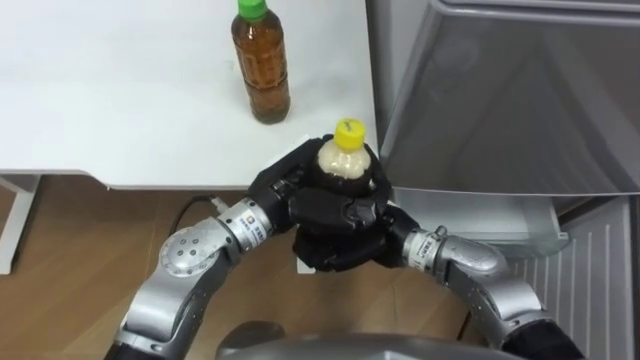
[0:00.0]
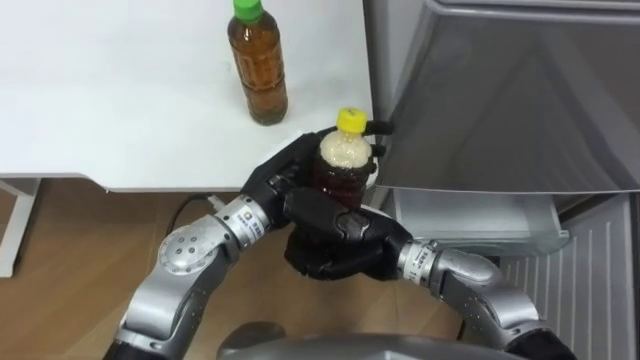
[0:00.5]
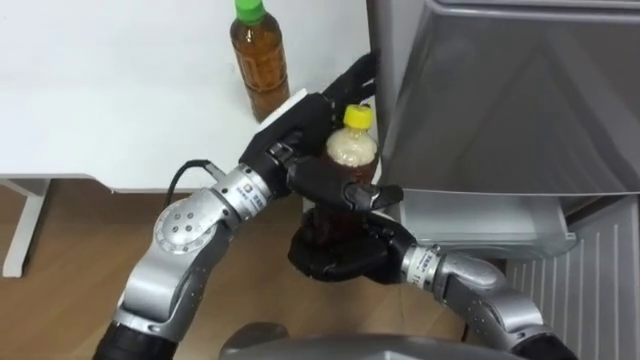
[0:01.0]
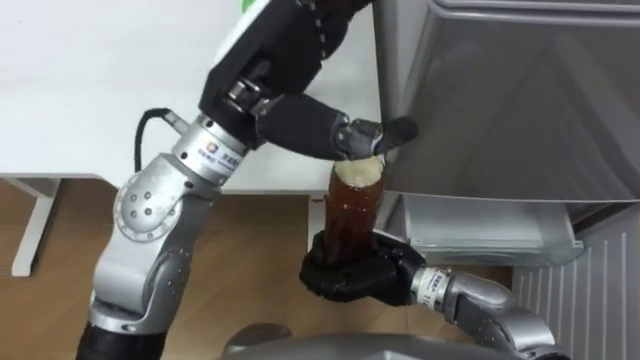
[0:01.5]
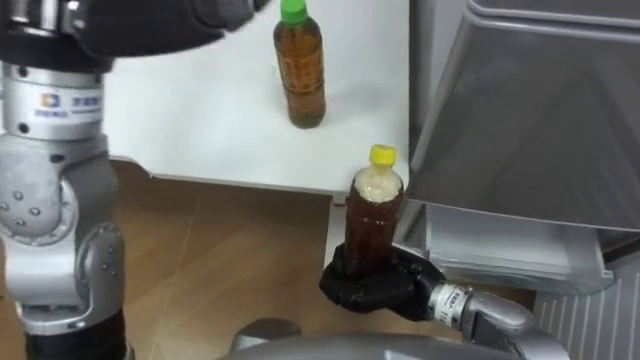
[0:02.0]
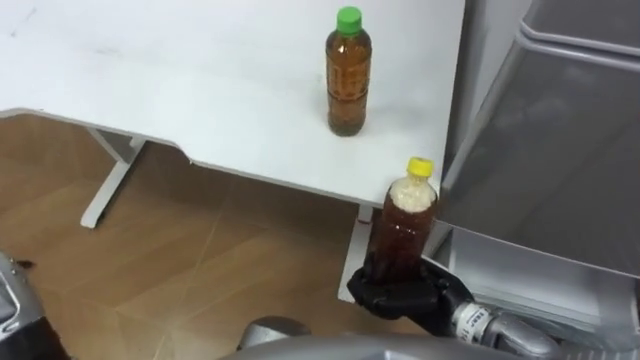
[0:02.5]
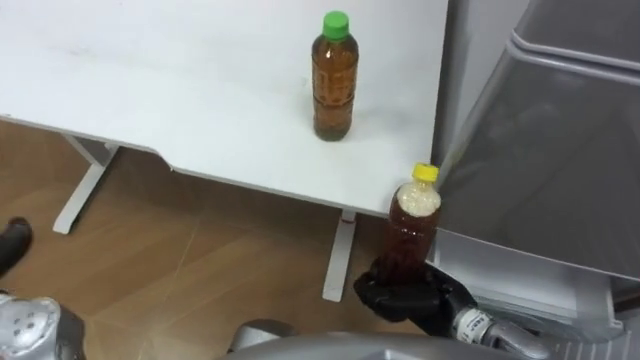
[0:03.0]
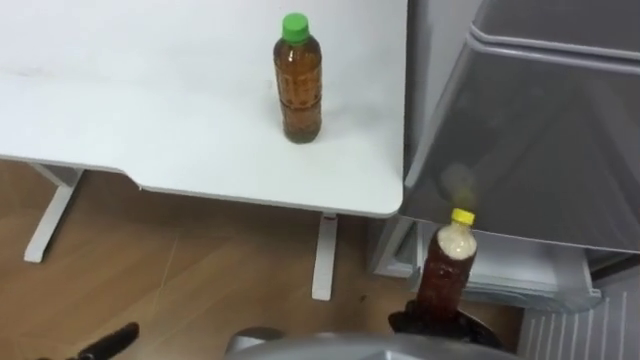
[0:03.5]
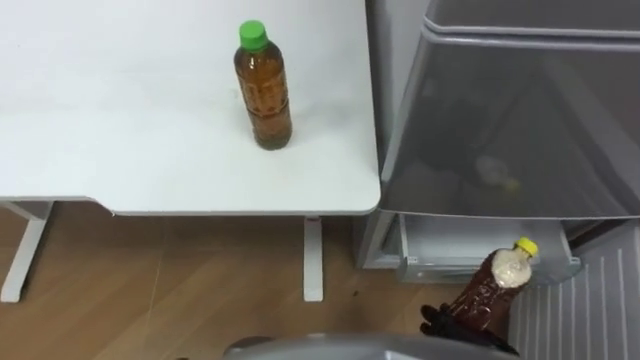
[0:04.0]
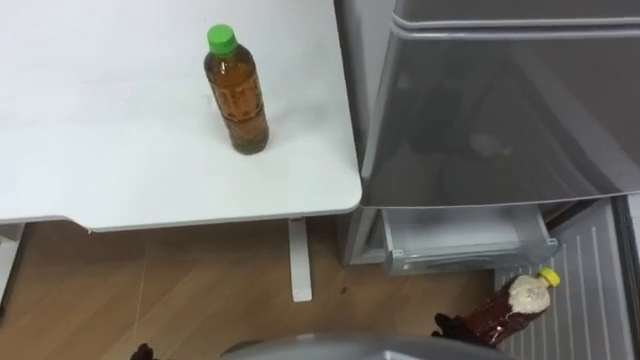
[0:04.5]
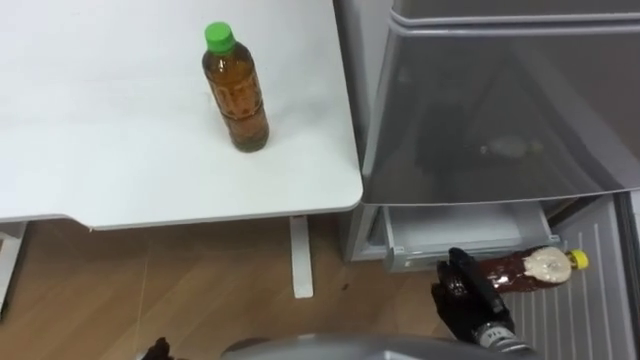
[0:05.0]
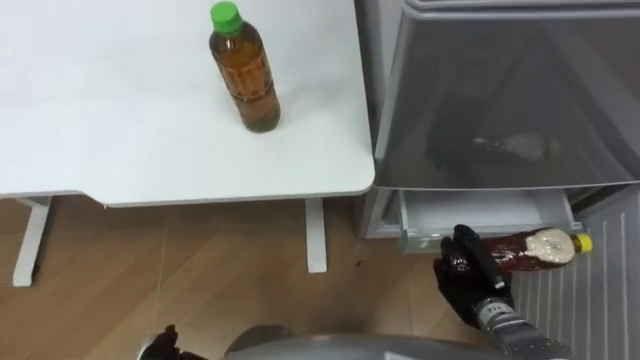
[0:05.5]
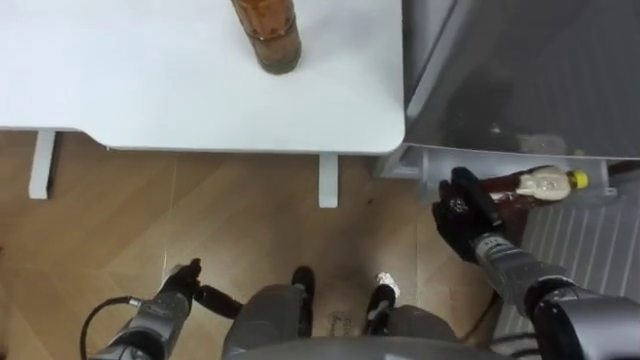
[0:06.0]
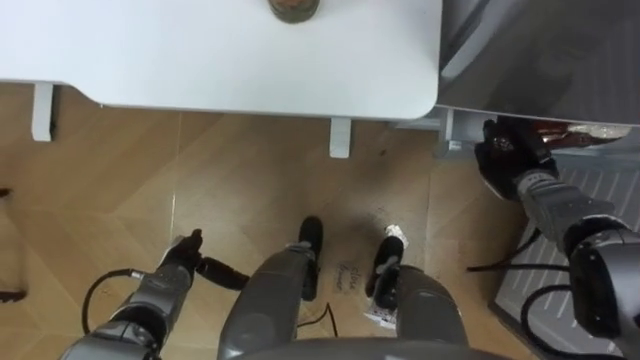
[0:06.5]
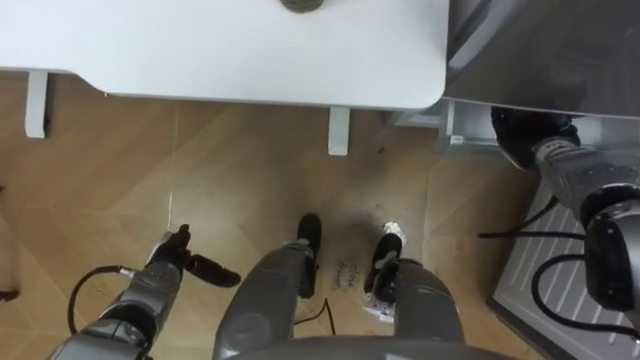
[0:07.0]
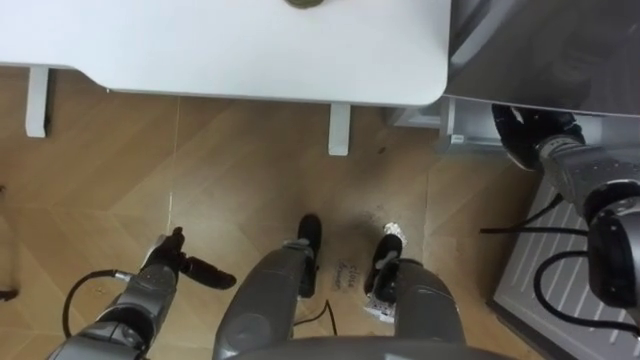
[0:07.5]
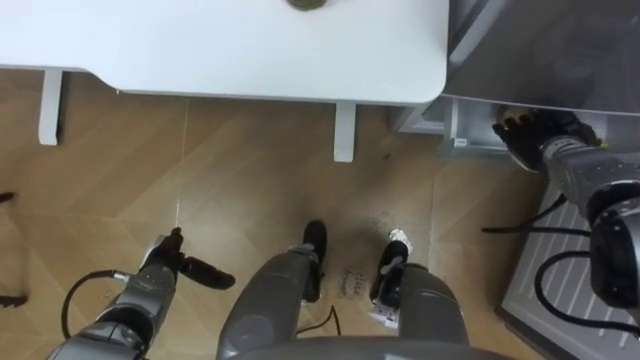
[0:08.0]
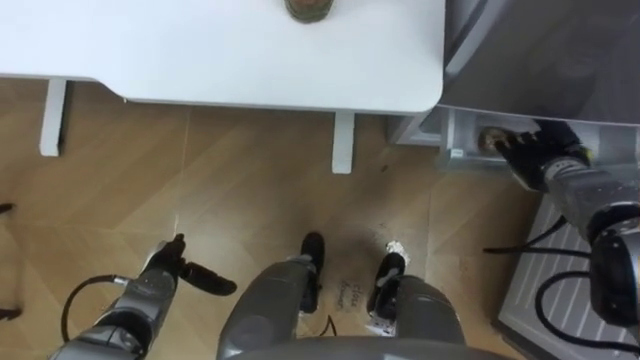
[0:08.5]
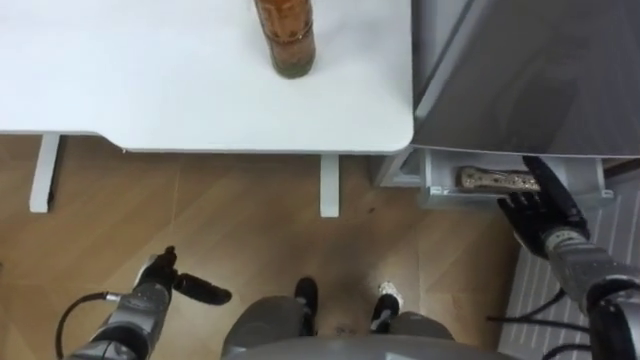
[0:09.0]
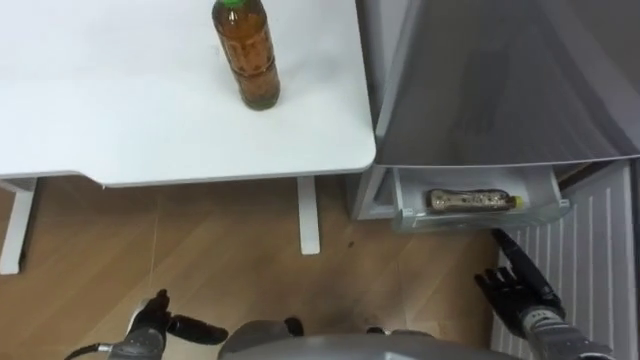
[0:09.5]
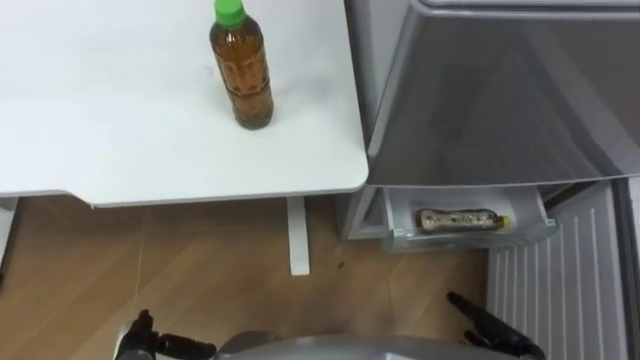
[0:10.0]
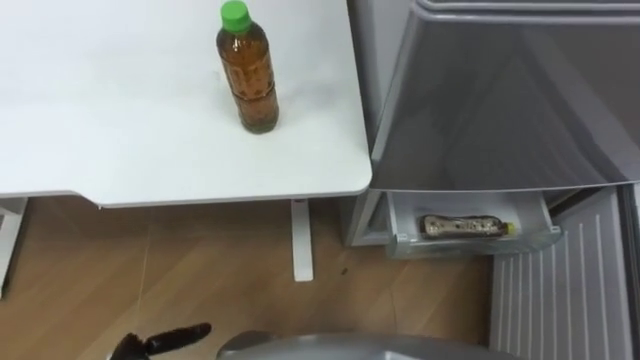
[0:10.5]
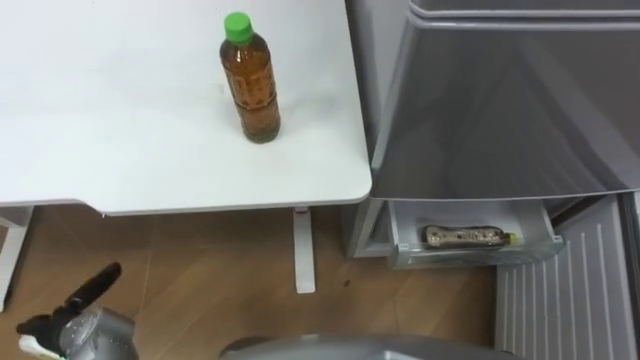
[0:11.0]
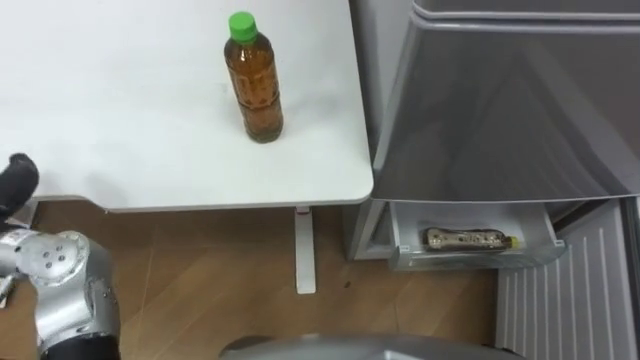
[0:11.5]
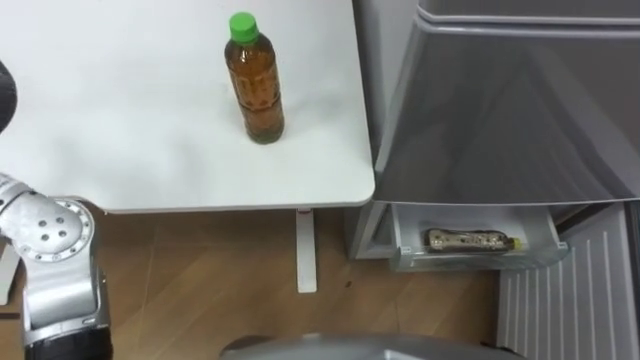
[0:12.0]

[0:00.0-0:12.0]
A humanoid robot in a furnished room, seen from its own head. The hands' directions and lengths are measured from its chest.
Task of the whole recording: Place the drink on the table on the bottom shelf of the refrigerator, then close the drawer and the refrigerator door.
0:00.0 to 0:02.0: The left hand moves upward and to the left, some 30 cm, and opens; the right hand is displaced backward by some 5 cm.
0:02.0 to 0:04.0: The right hand is displaced to the right, backward and downward by some 20 cm.
0:06.0 to 0:08.0: The left hand moves about 5 cm, while the right hand goes some 15 cm forward, upward and to the right, and opens.
0:08.0 to 0:10.0: The left hand moves backward, approximately 10 cm. The right hand travels backward and downward by about 30 cm.

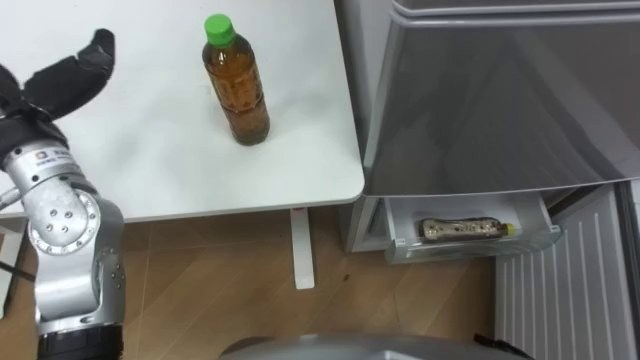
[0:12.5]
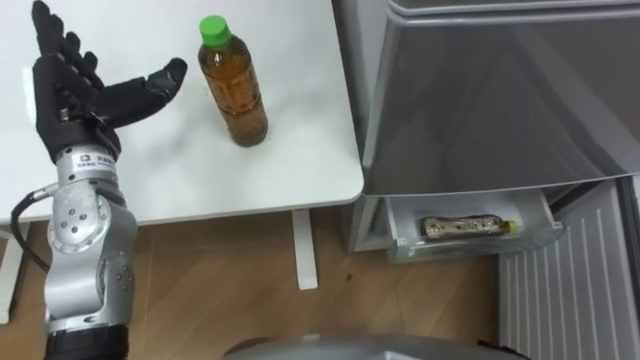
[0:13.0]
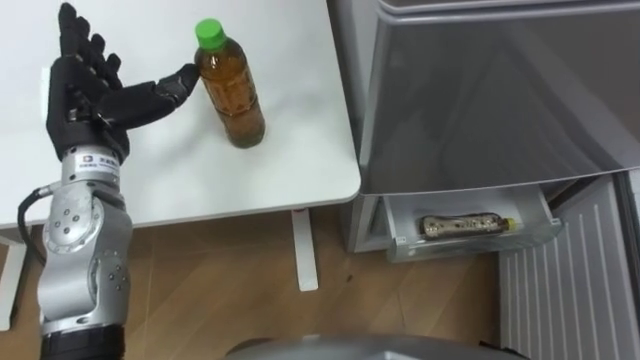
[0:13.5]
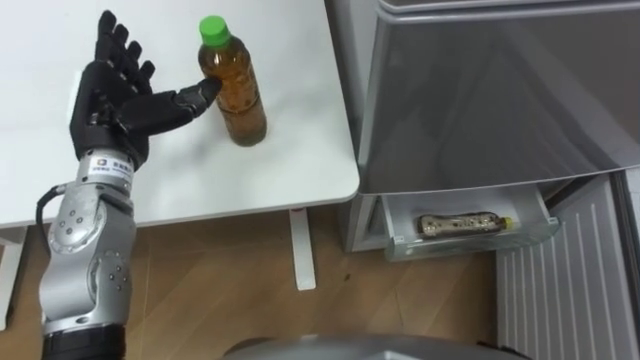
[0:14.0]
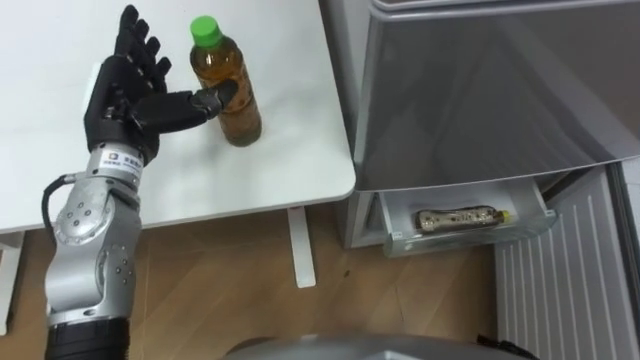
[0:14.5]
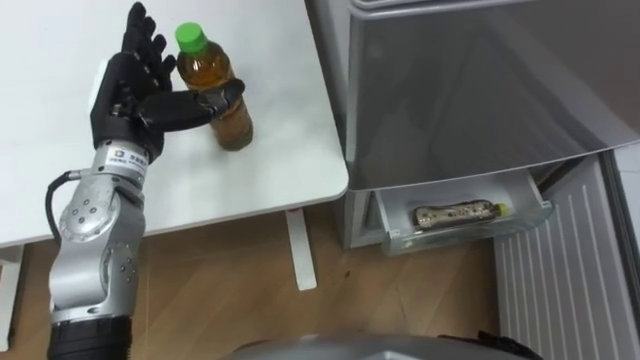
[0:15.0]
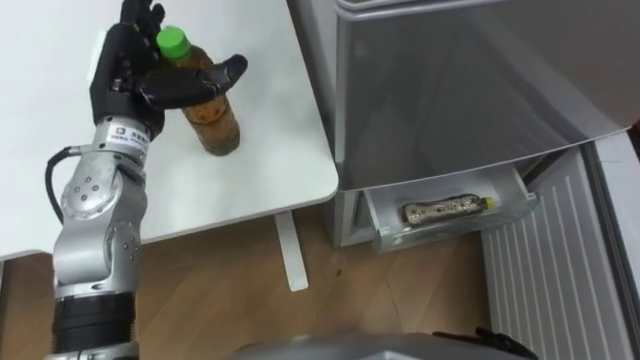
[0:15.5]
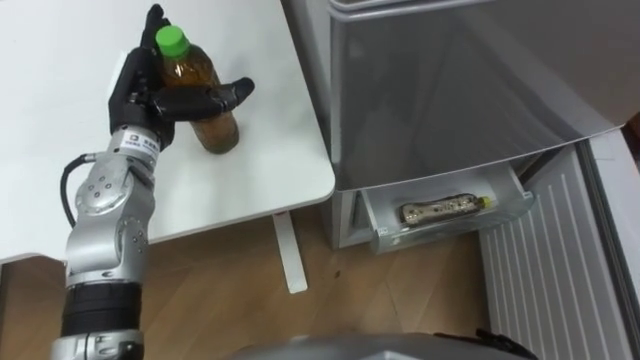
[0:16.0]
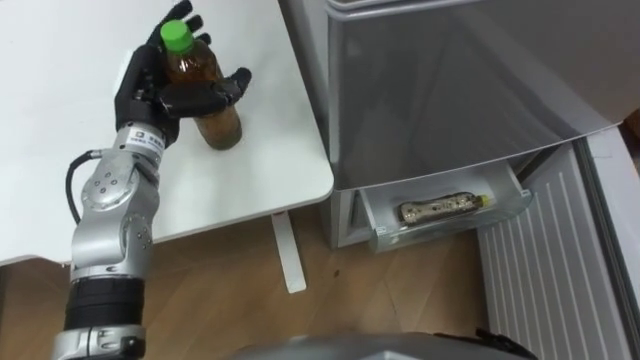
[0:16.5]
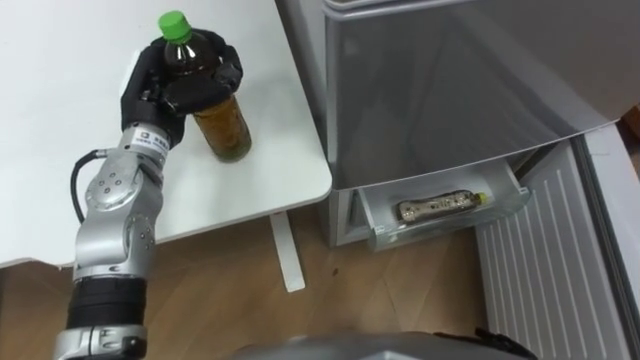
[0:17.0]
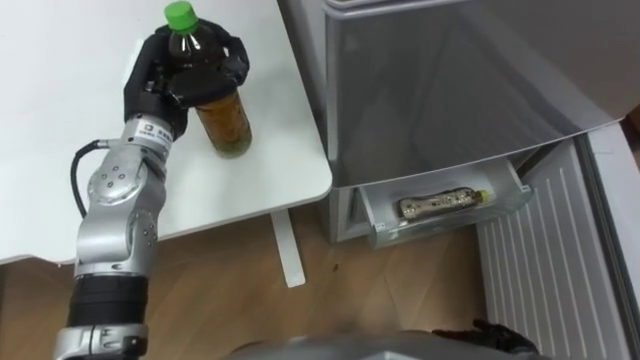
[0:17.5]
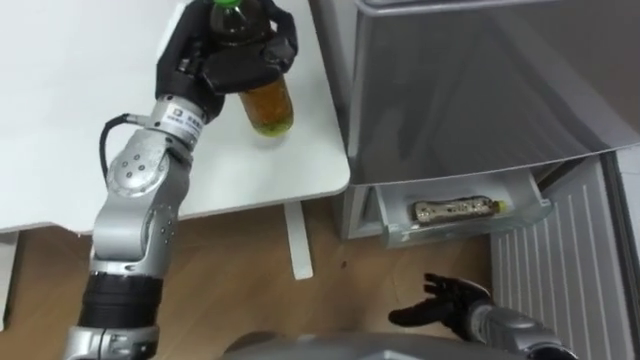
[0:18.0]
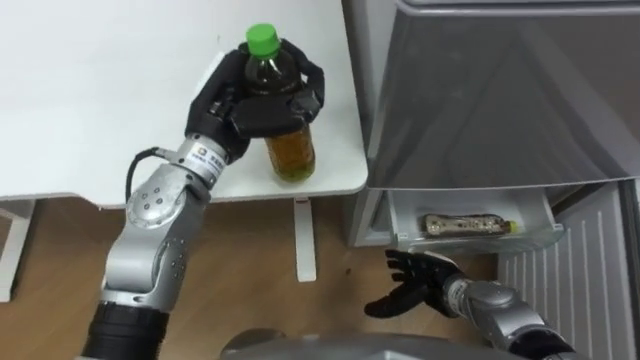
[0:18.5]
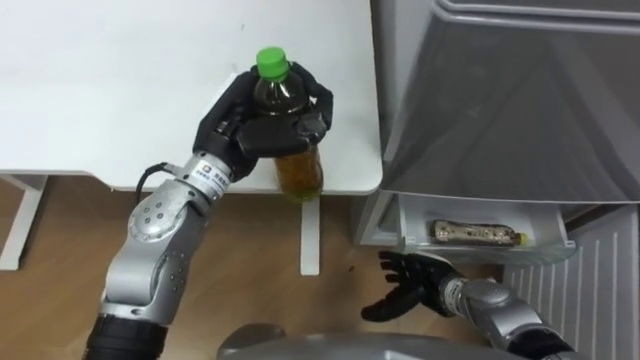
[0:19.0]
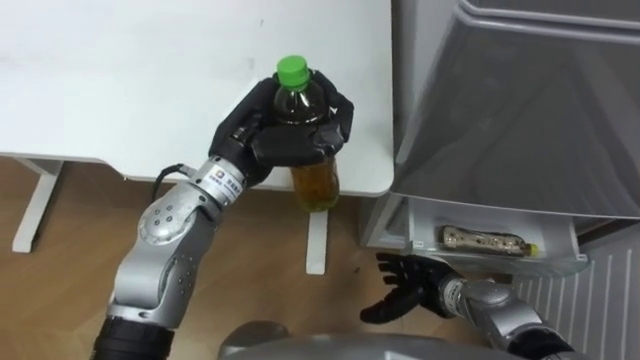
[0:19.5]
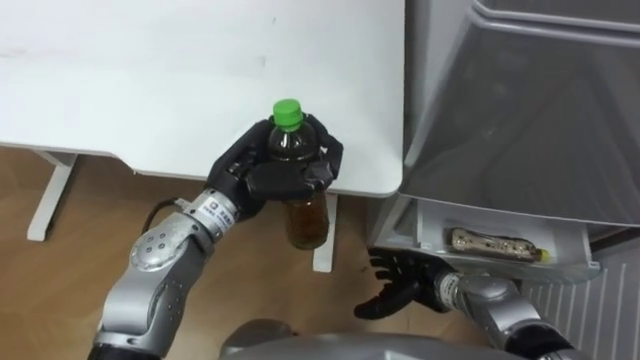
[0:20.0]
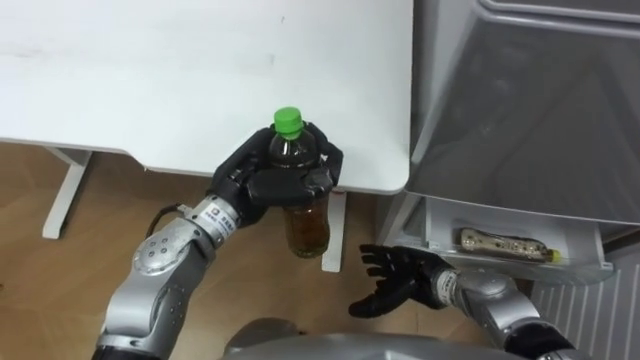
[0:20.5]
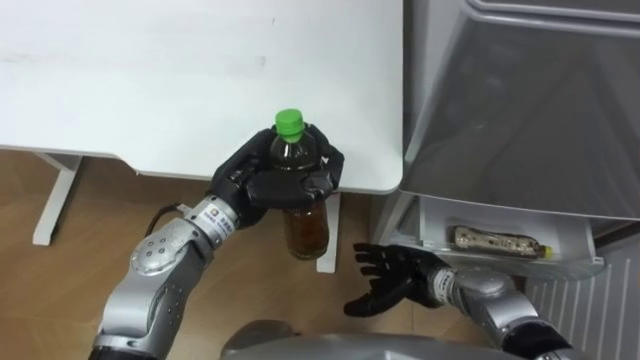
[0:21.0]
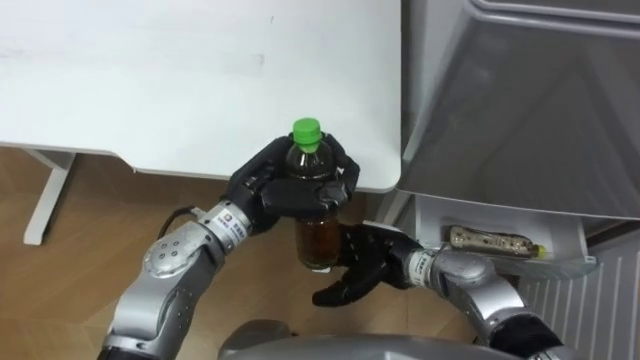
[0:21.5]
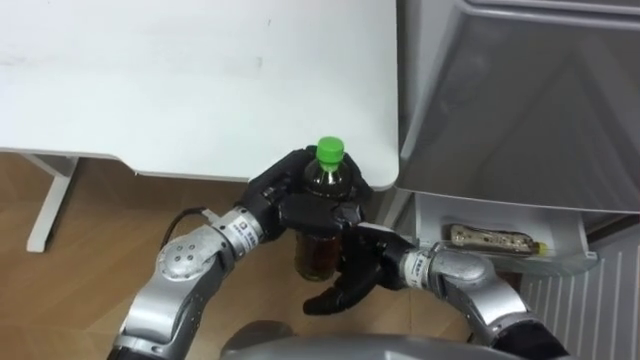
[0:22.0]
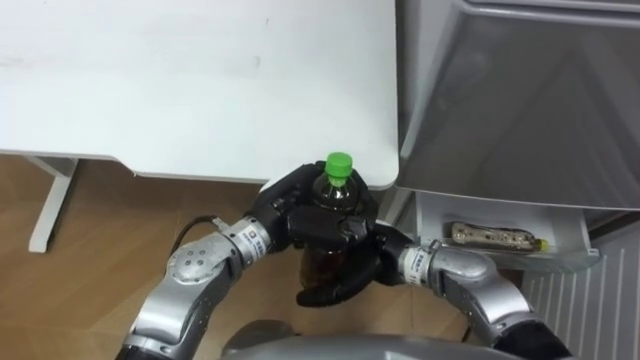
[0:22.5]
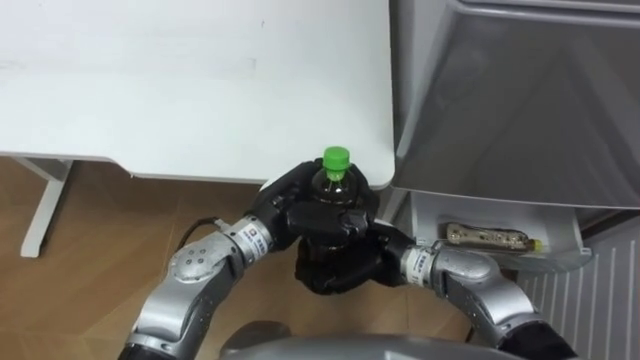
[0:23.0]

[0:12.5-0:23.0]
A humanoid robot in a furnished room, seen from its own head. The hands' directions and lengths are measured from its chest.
Task of the whole recording: Place the drink on the table on the bottom shelf of the refrigerator, then close the drawer and the refrigerator door.
0:16.5 to 0:19.0: The left hand goes approximately 10 cm to the right, and closes up.
0:19.0 to 0:21.0: The left hand shifts by about 5 cm.
0:21.0 to 0:23.0: The left hand changes place by some 5 cm. Meanwhile the right hand heads upward and to the left, covering some 10 cm, and closes its fingers.
